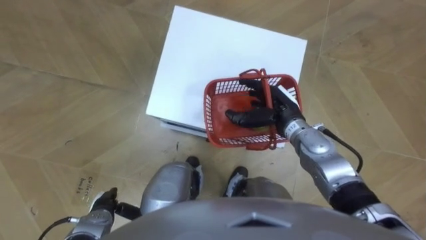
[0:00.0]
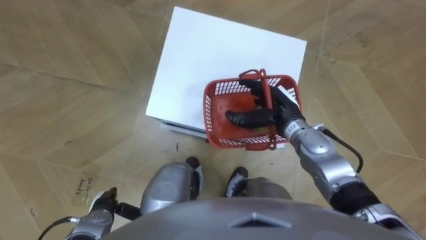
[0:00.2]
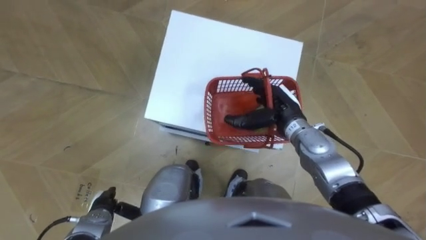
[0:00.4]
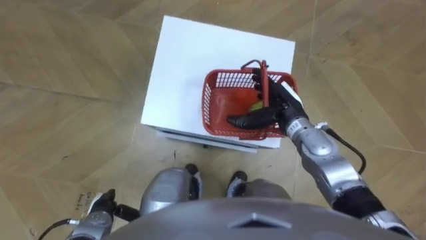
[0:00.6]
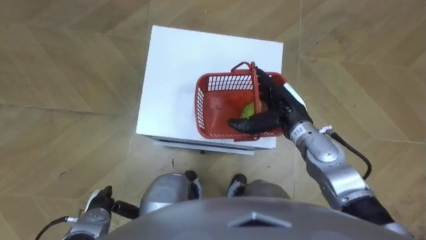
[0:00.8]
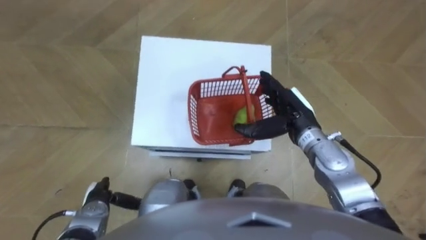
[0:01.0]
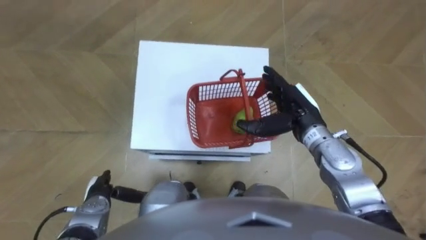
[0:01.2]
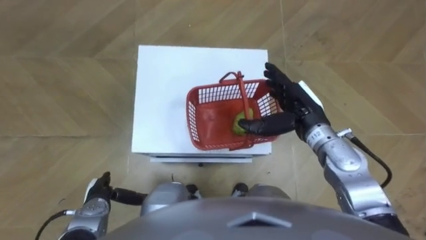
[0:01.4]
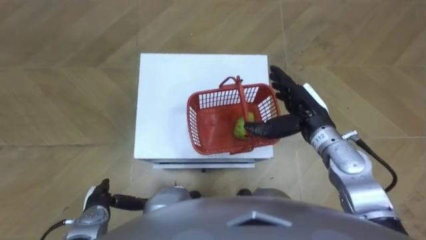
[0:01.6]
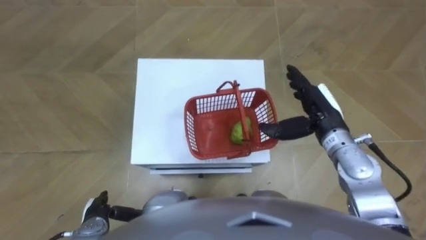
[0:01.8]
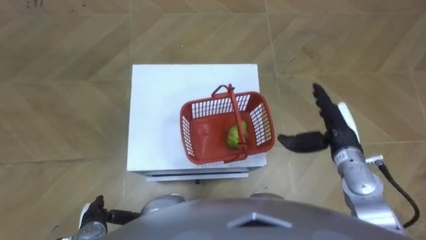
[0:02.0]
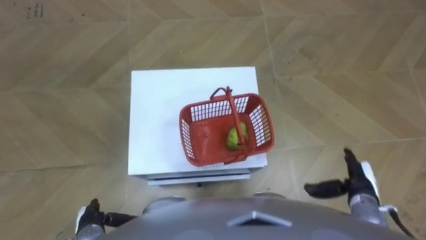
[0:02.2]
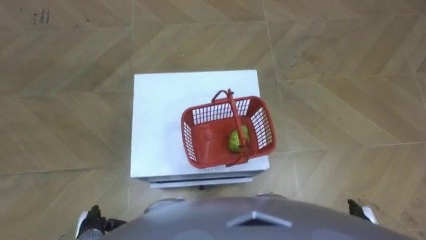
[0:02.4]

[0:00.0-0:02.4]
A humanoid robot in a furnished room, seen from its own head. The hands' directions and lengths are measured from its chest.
Task of the whole recording: Pick up the fruit basket from the floor and place it on the cabinet.
0.0 to 1.2 s: The right hand moves approximately 5 cm.
1.2 to 2.4 s: The left hand goes about 5 cm backward; the right hand shifts about 30 cm backward, to the right and downward.

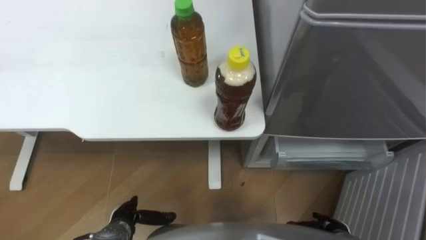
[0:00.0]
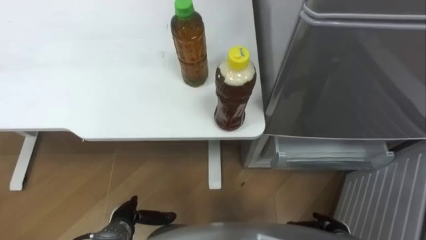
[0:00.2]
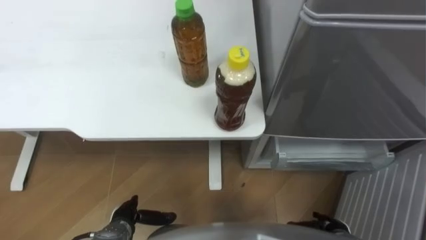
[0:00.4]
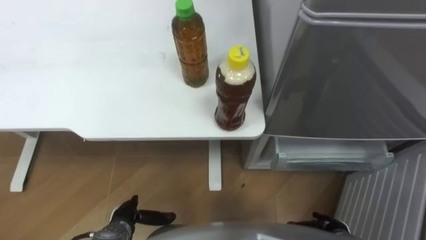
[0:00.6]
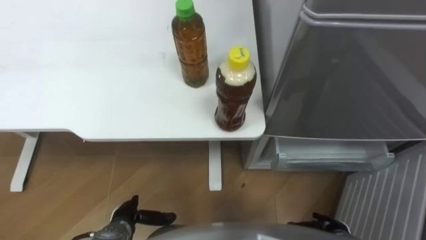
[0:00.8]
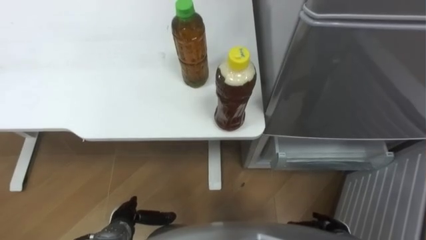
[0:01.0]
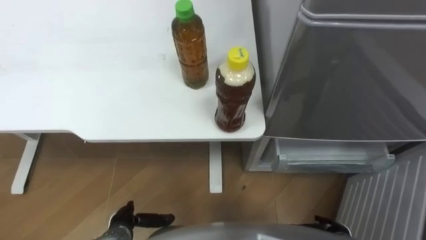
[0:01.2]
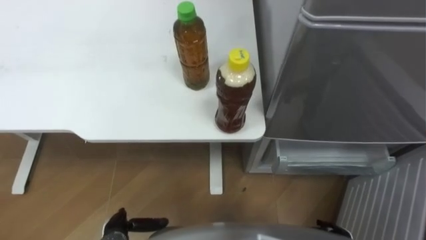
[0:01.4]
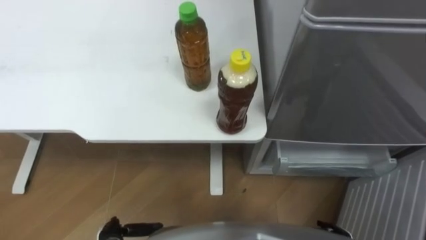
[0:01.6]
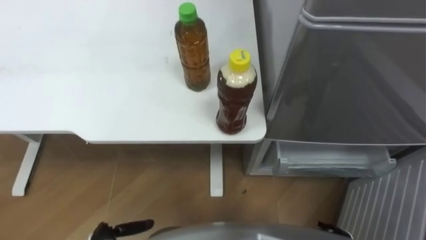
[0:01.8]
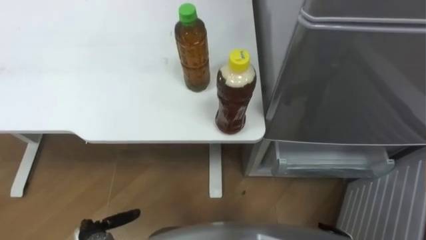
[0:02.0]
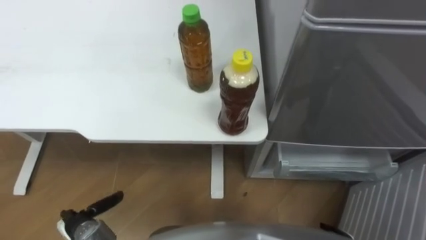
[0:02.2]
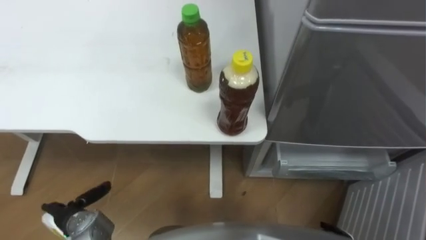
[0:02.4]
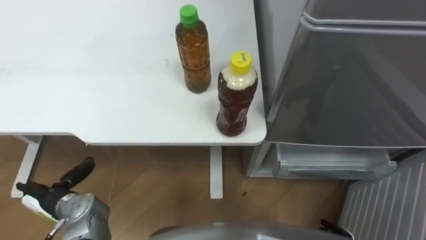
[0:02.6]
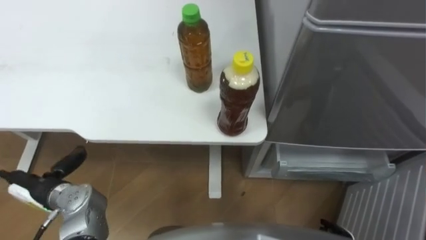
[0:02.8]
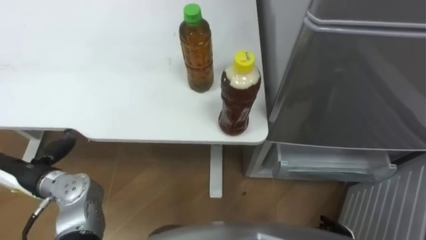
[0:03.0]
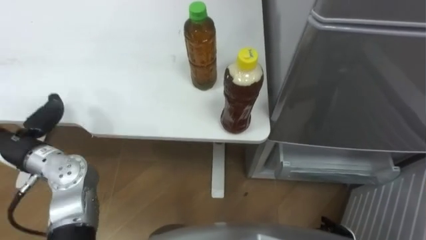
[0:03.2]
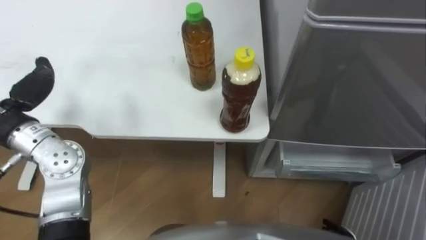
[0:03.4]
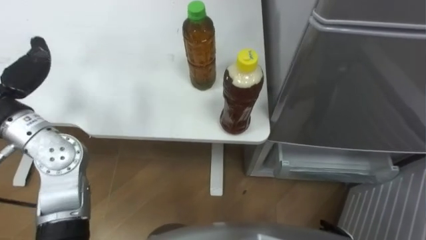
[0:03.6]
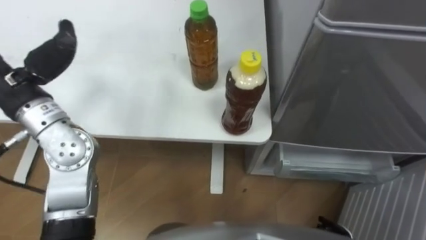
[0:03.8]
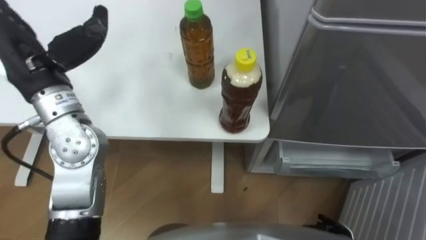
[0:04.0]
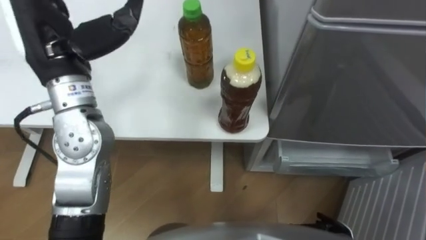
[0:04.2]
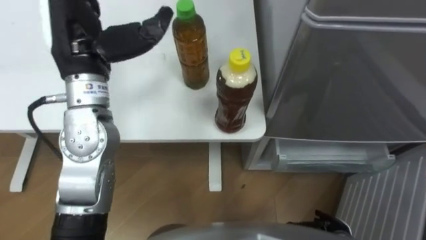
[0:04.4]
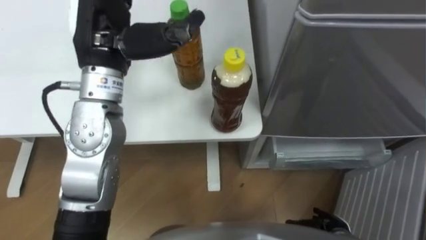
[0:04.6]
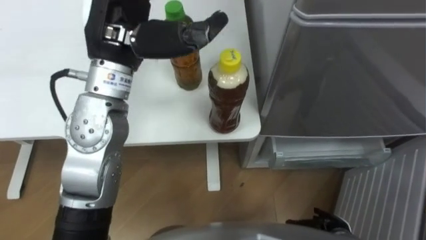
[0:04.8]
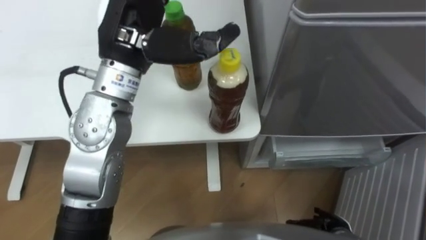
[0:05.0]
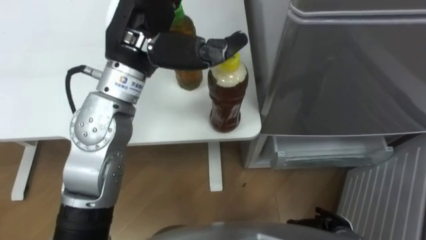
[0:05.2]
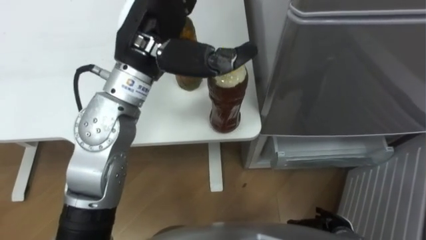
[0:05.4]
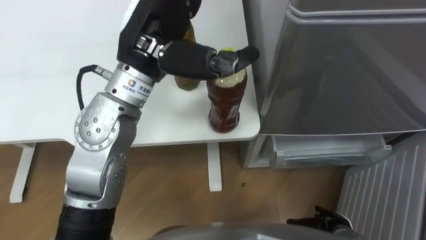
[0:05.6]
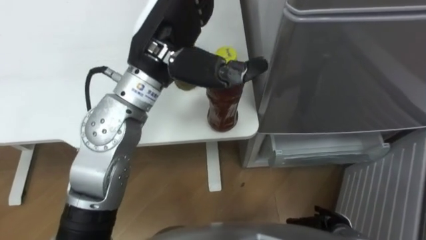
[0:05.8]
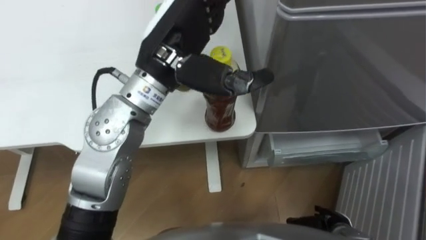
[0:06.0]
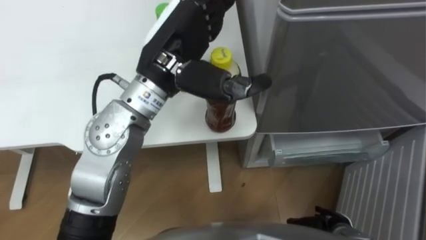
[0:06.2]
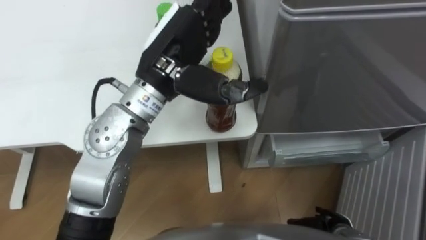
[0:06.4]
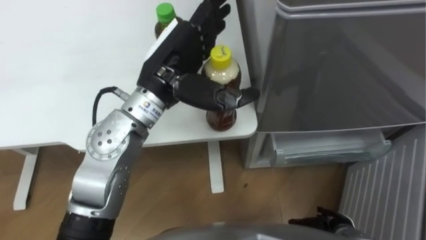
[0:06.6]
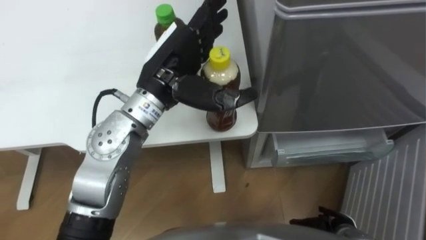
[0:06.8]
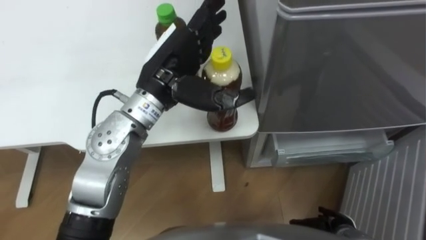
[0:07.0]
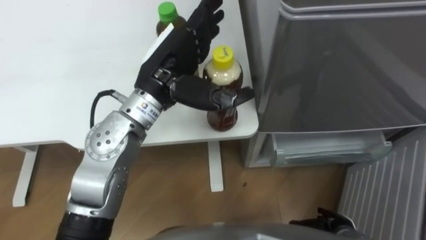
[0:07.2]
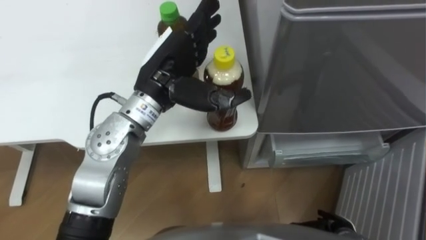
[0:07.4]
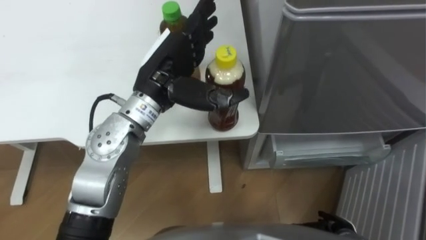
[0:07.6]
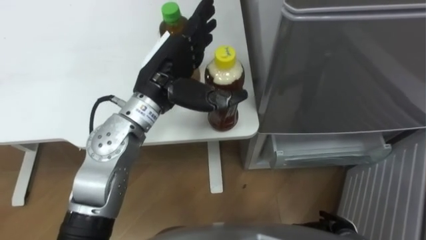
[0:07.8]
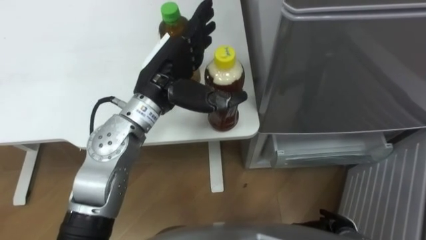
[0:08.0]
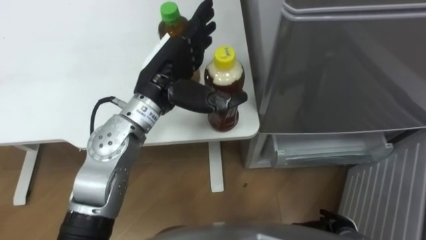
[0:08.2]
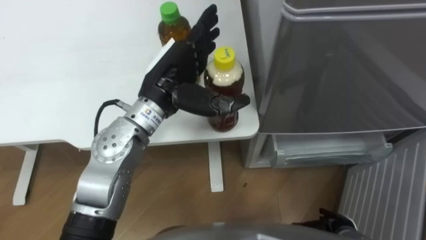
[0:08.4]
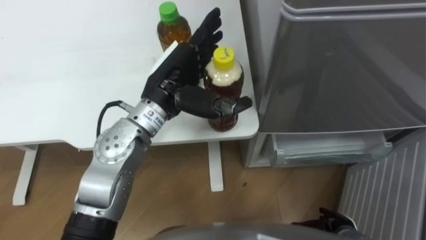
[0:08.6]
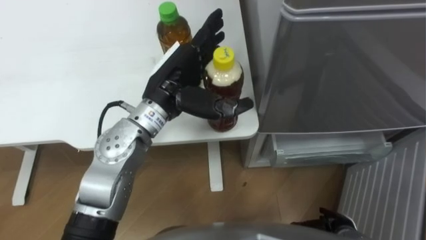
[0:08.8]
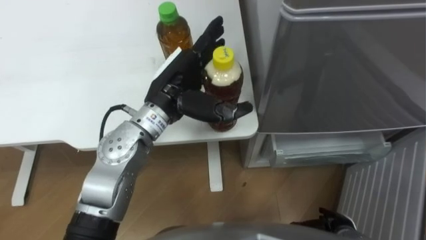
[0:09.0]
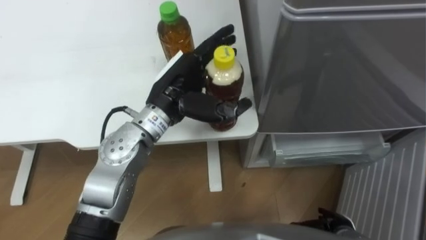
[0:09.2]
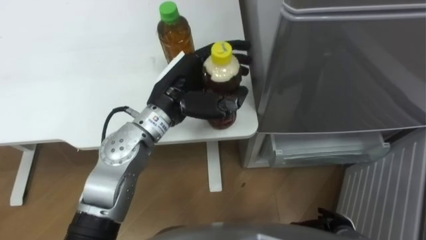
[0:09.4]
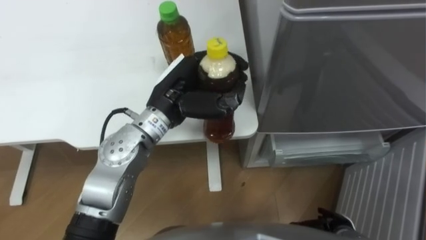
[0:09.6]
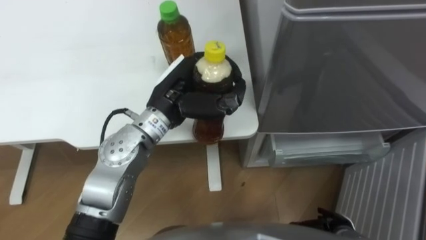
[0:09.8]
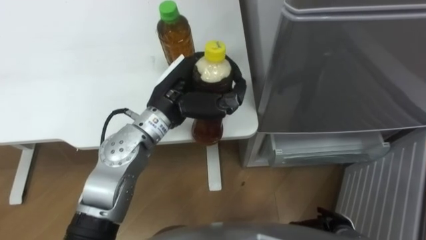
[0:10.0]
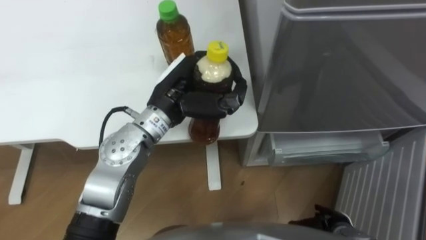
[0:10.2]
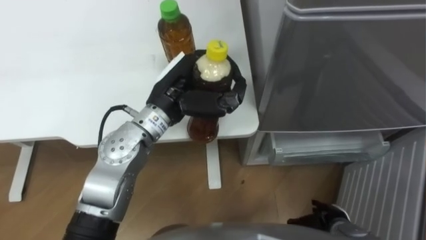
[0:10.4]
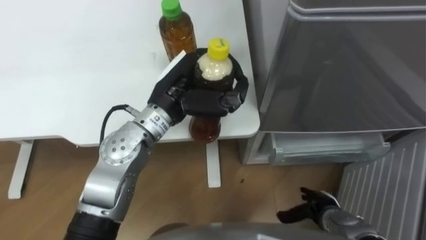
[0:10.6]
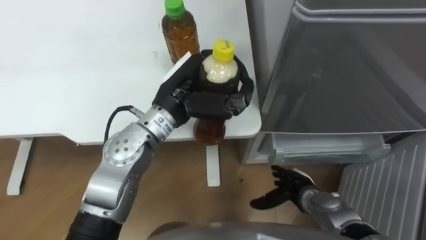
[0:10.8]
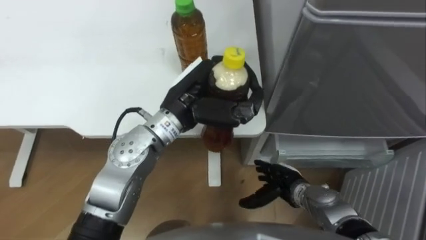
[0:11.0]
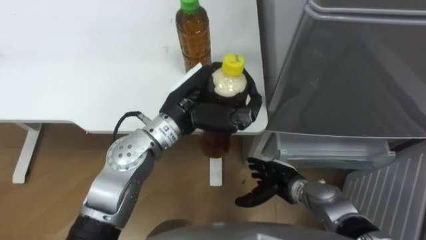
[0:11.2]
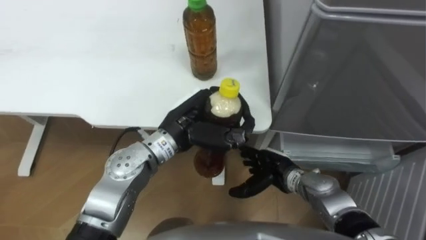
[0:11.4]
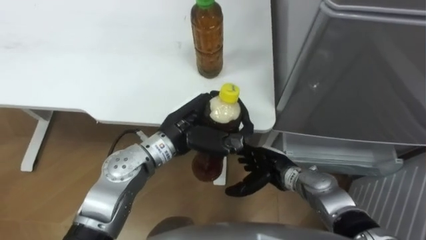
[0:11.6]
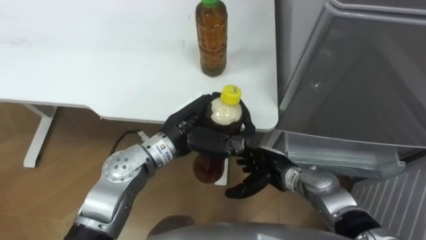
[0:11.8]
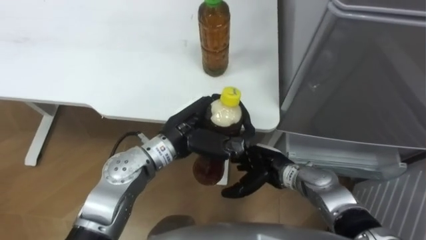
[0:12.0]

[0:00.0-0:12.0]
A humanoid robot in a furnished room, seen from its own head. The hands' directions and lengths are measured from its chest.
Task of the whole recording: Place the drink on the table on the bottom shelf of the refrigerator, then close the drawer and the refrigerator door.
4.4 to 6.0 s: The left hand heads to the right, covering roughly 15 cm.
6.0 to 7.6 s: The left hand travels downward by roughly 5 cm.
7.6 to 9.0 s: The hands make only small movements.
9.0 to 10.4 s: The left hand closes its fingers.
10.4 to 12.0 s: The left hand changes place by about 5 cm; the right hand goes some 20 cm to the left, forward and upward.

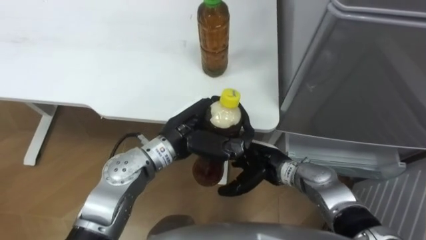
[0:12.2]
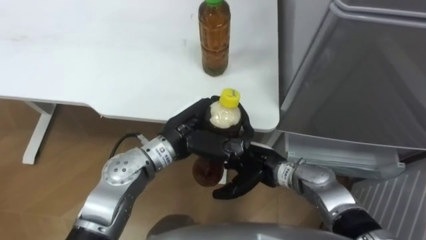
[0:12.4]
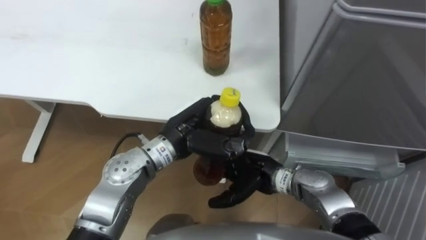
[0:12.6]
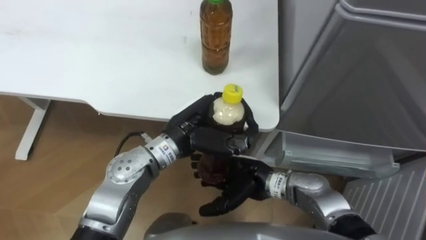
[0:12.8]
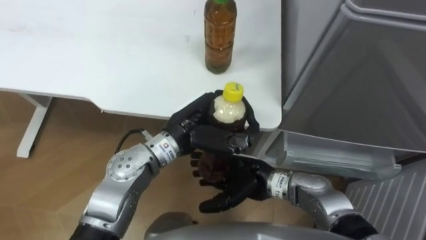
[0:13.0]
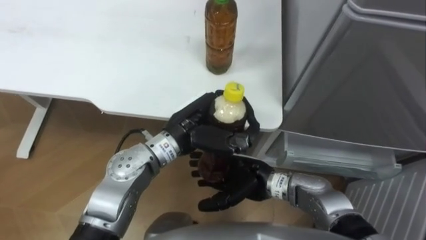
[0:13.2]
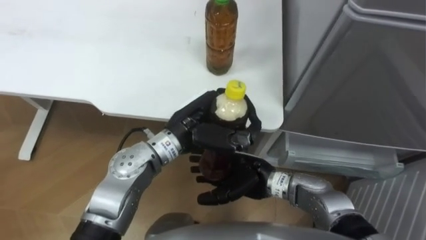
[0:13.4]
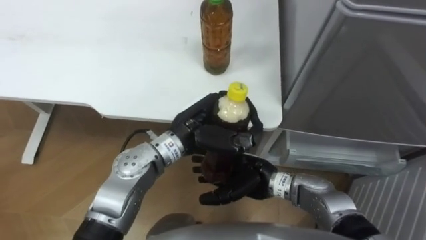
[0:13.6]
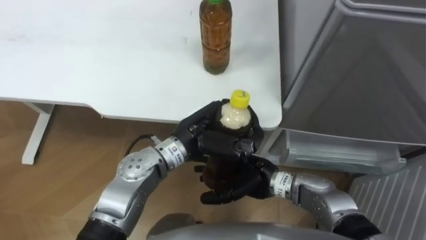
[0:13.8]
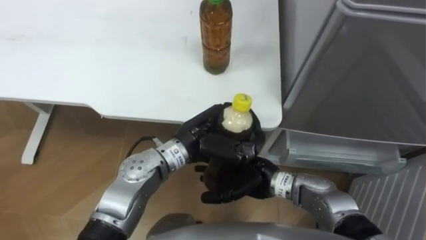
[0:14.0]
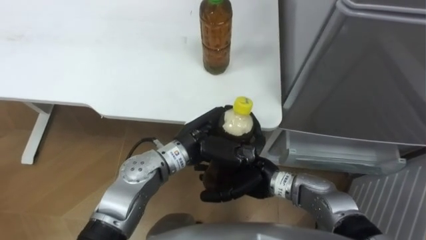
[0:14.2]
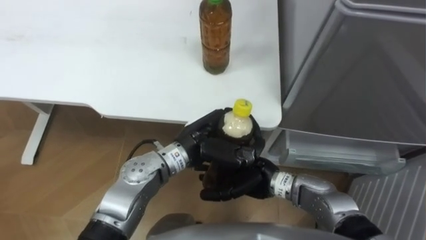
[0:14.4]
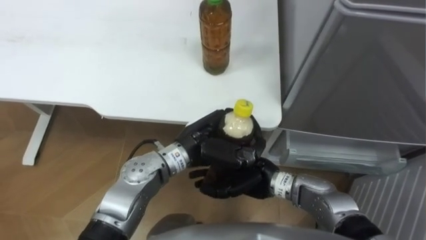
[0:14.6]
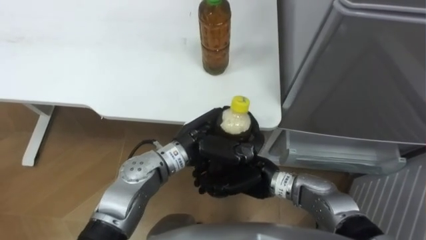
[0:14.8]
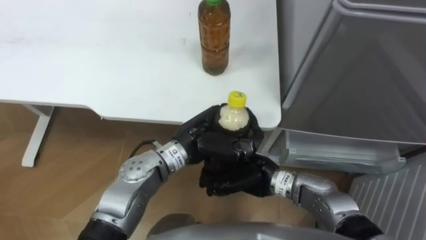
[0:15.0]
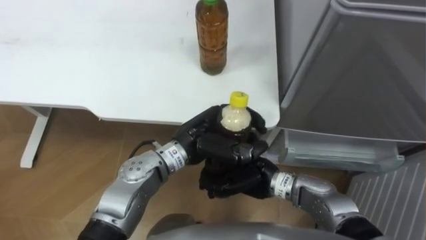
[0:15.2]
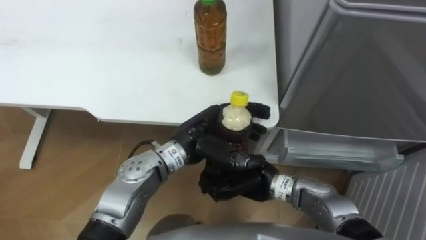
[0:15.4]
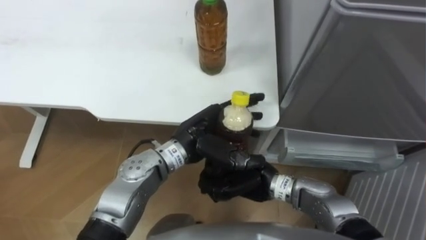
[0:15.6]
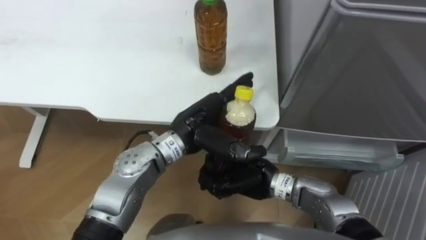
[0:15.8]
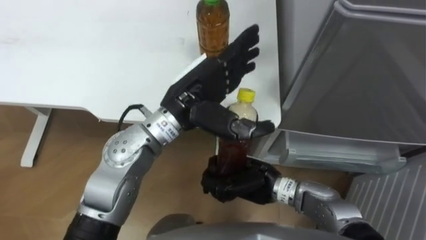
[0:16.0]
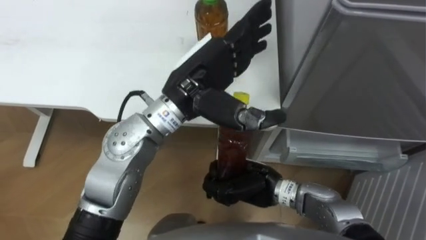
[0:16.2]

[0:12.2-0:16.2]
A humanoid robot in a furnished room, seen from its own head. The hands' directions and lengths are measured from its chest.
Task of the whole recording: Place the drink on the table on the bottom shelf of the refrigerator, then close the drawer and the refrigerator door.
12.2 to 13.6 s: The right hand moves approximately 5 cm.
13.6 to 14.8 s: The right hand closes.
14.8 to 16.2 s: The right hand closes. Meanwhile the left hand travels upward by some 15 cm, and opens.
